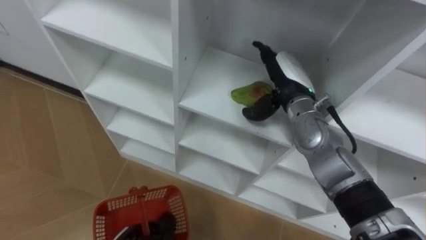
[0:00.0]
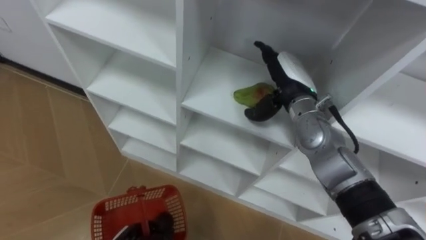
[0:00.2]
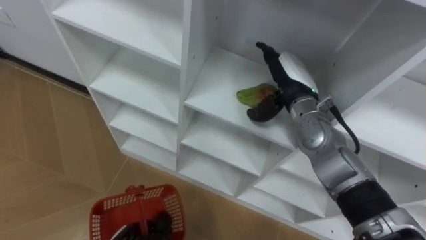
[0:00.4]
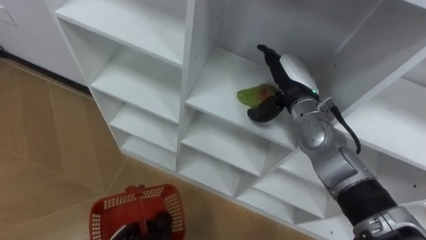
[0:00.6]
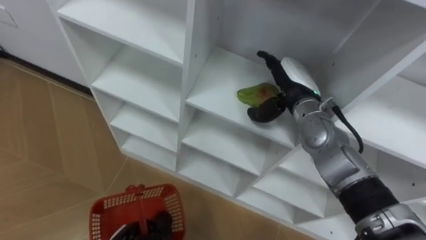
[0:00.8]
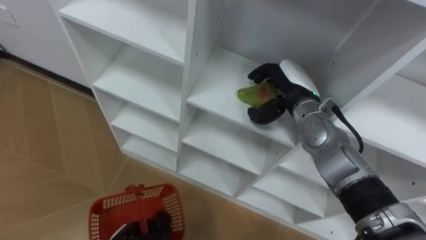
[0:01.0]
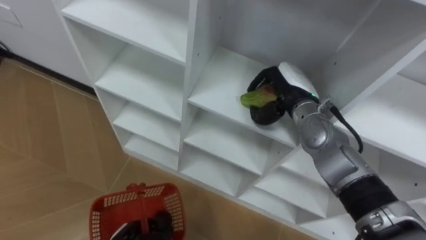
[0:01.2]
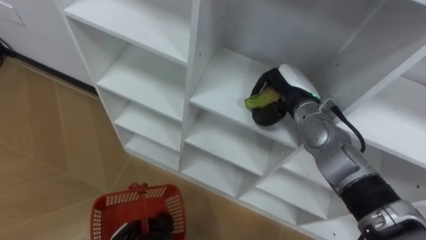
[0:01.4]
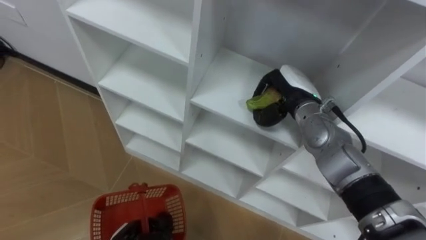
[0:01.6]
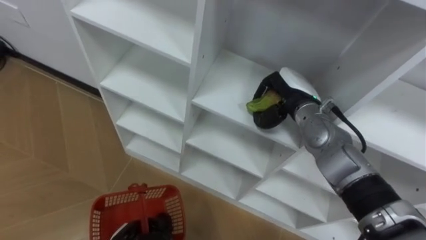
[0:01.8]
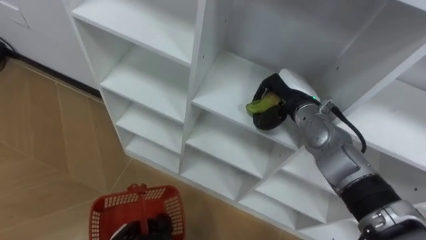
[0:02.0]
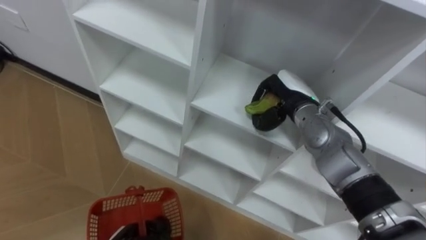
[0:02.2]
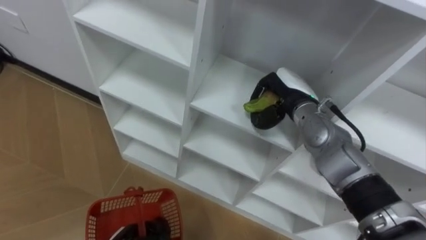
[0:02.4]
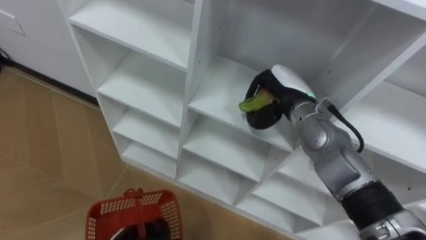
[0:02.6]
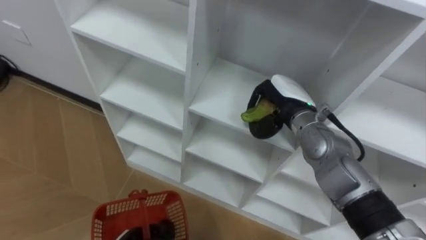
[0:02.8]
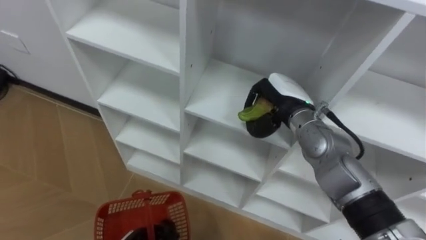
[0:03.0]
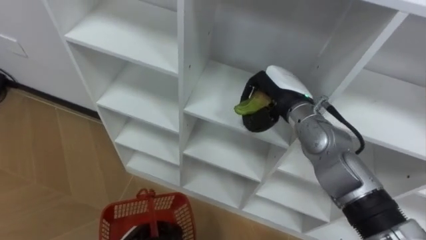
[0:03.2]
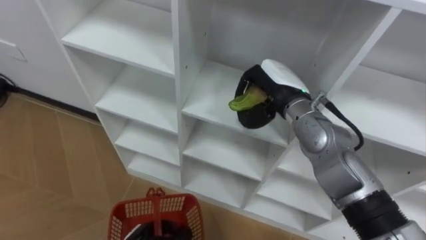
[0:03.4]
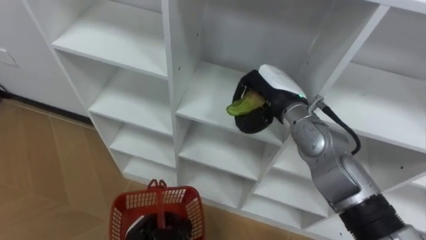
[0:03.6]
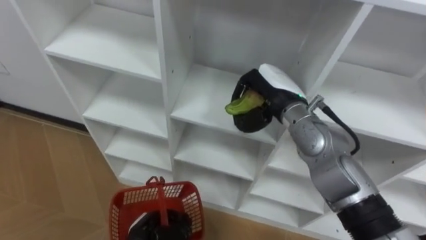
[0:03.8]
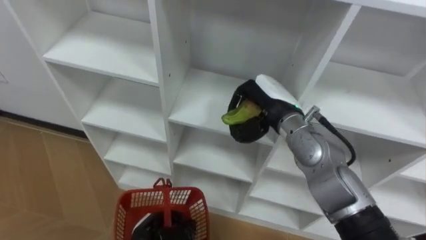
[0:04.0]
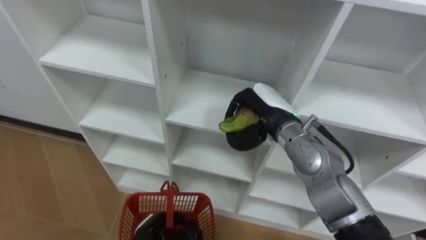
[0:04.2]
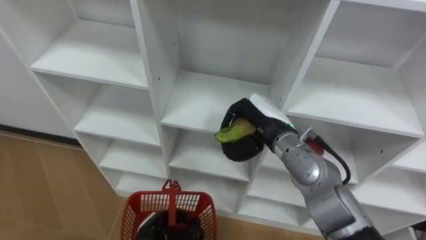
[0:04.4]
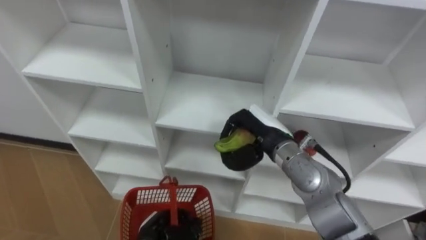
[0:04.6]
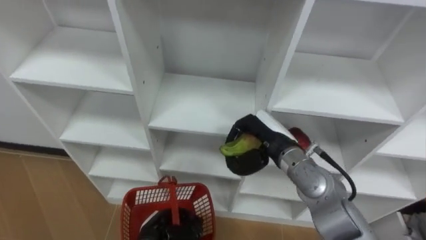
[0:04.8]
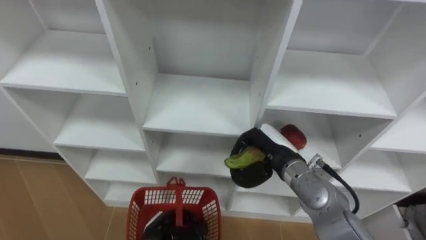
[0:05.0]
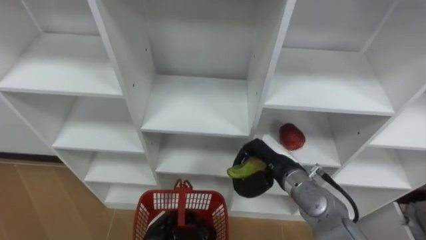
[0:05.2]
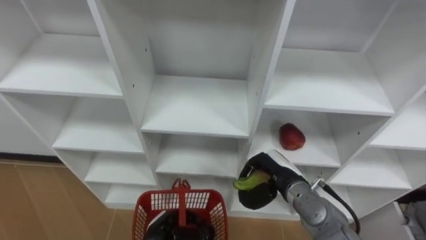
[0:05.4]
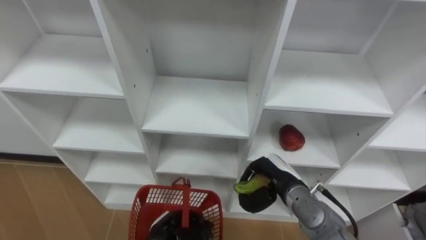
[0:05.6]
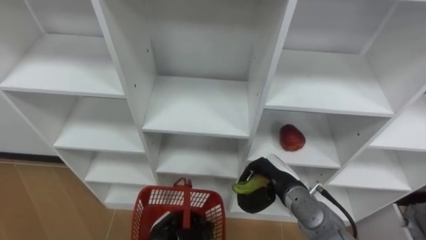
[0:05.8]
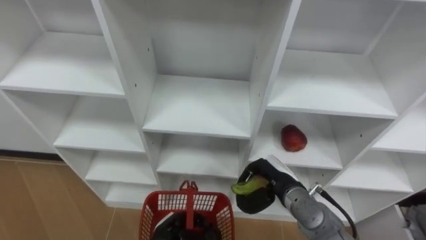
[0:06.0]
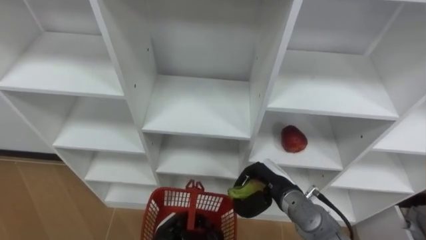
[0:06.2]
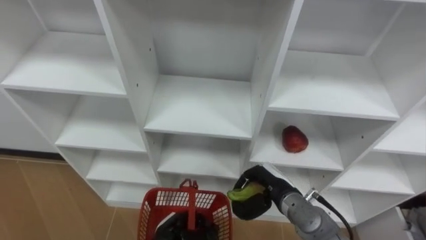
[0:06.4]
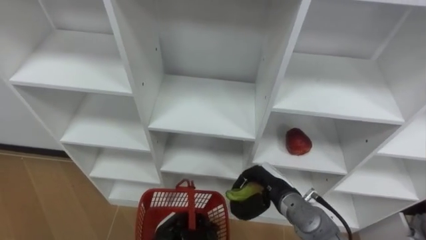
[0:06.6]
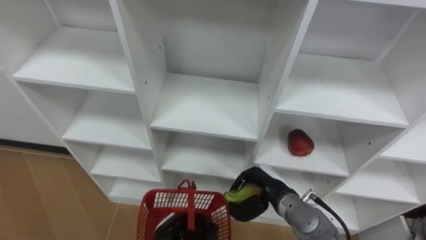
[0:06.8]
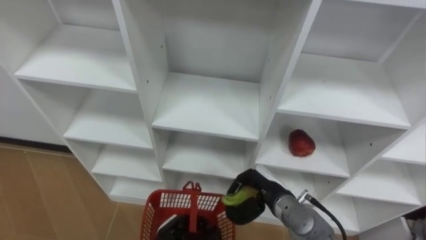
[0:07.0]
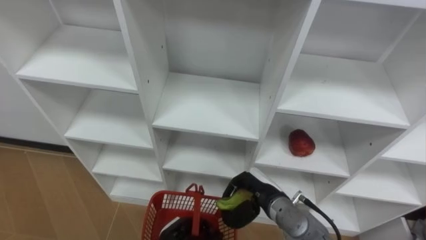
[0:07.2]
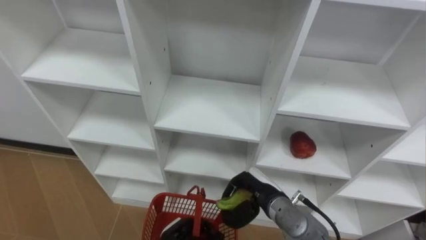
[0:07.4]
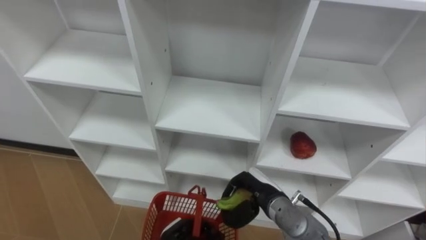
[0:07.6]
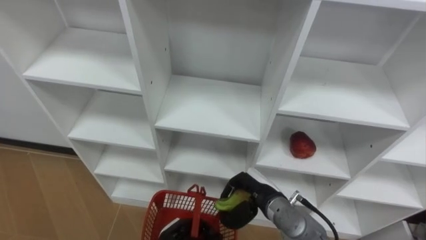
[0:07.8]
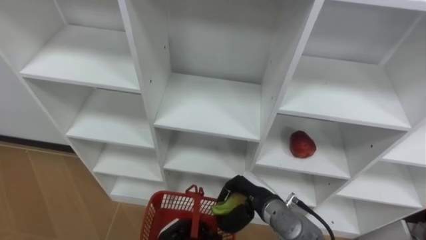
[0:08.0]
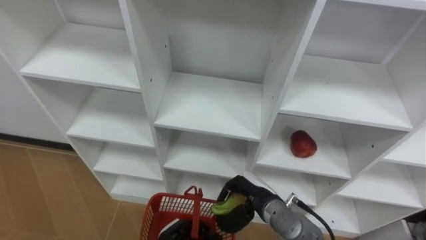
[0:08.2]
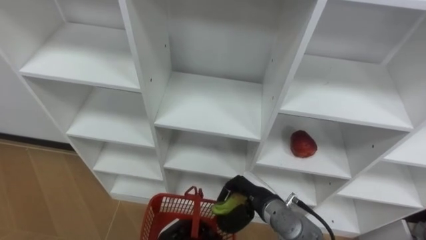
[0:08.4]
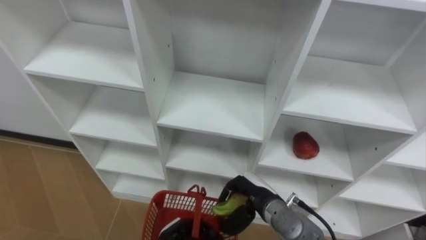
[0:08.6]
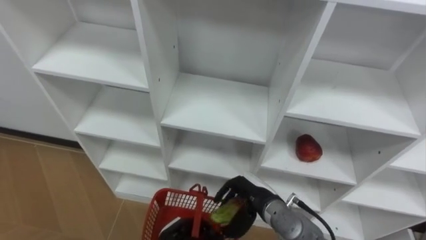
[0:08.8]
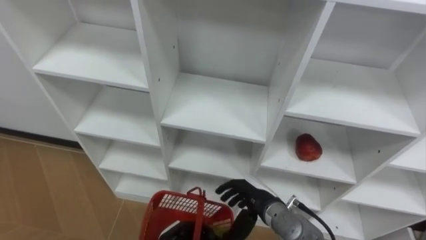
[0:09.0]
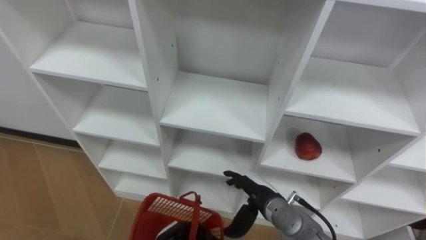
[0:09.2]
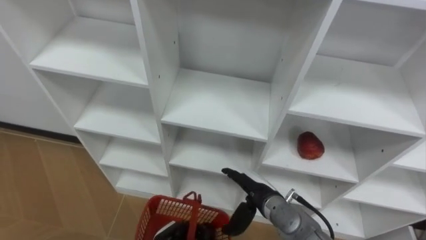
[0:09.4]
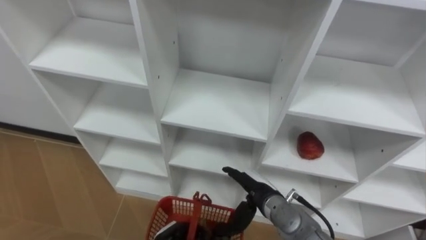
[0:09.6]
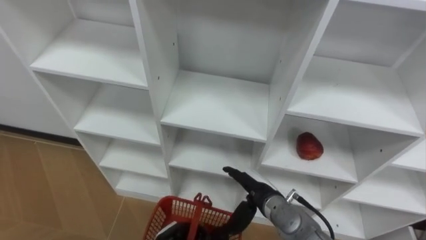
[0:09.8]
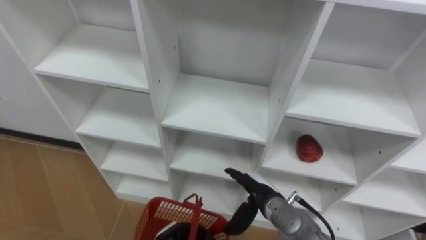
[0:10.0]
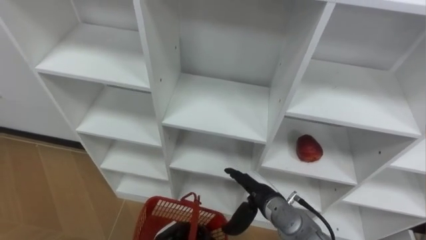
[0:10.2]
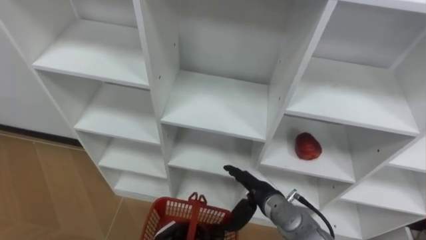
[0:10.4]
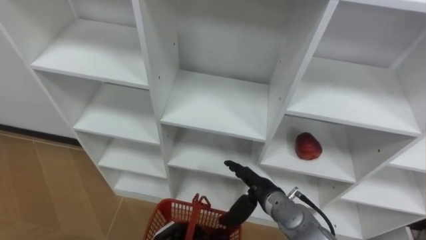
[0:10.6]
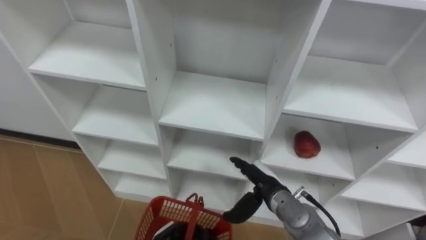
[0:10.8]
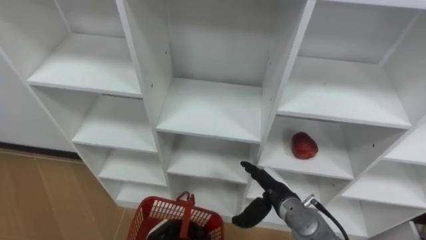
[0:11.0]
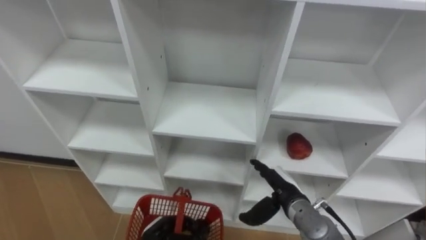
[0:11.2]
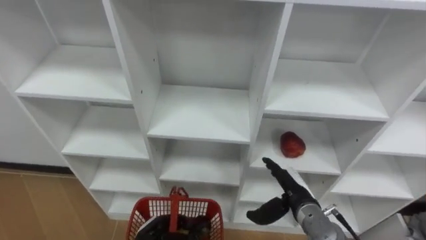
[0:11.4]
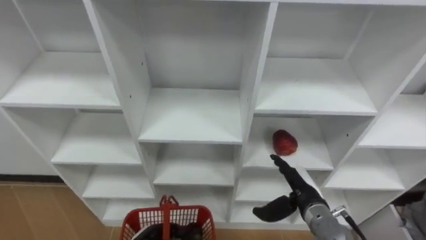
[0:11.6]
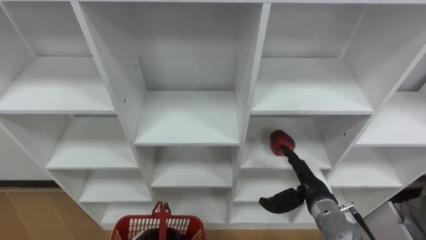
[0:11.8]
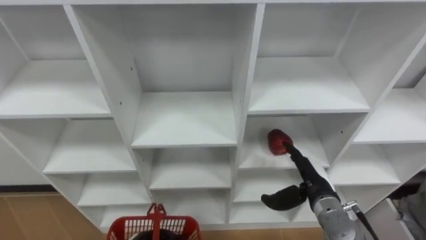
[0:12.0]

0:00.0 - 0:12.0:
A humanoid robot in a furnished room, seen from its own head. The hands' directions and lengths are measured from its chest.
Task of the whole recording: Hold the basket and collect the fruits from 3 different cells of the closet into it.
0:00.0 - 0:01.6: The right hand closes up.
0:03.0 - 0:04.4: The right hand shifts by approximately 5 cm.
0:04.4 - 0:06.0: The right hand goes about 15 cm downward and backward.
0:07.6 - 0:09.0: The right hand opens up.
0:10.4 - 0:12.0: The right hand shifts approximately 10 cm to the right.

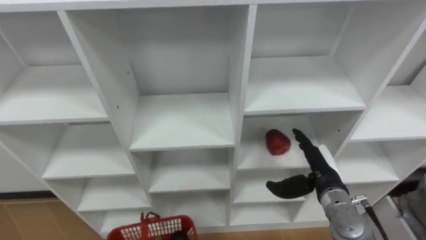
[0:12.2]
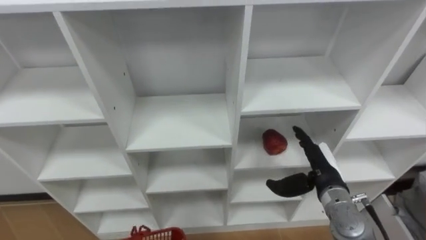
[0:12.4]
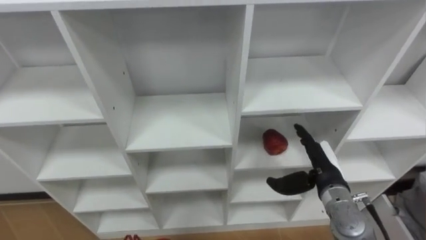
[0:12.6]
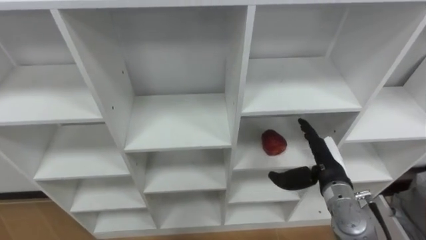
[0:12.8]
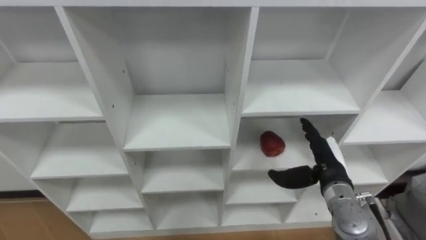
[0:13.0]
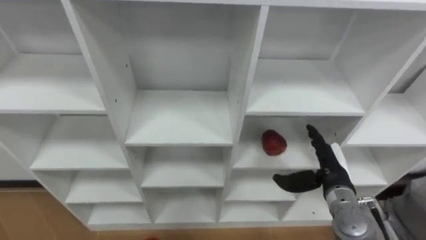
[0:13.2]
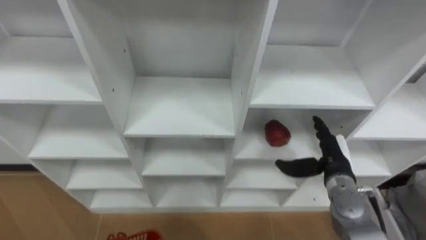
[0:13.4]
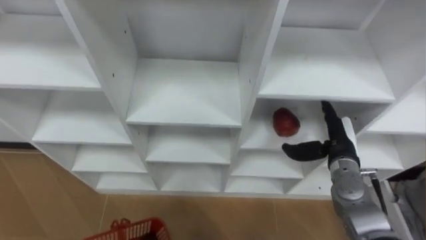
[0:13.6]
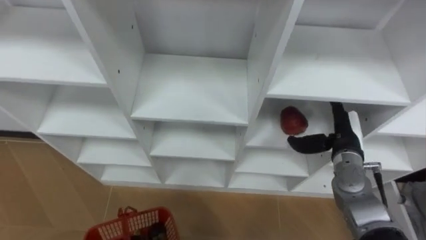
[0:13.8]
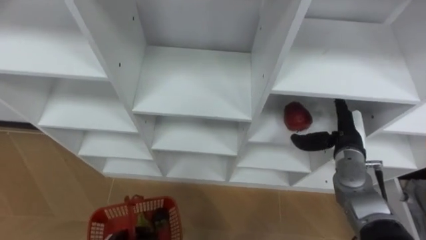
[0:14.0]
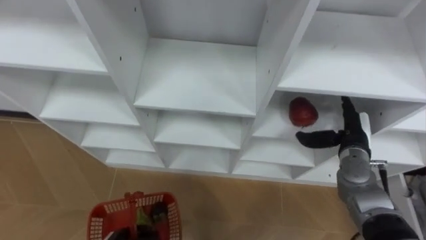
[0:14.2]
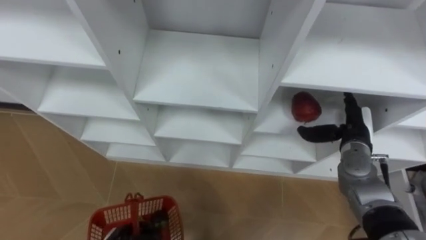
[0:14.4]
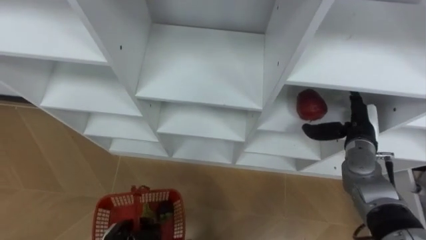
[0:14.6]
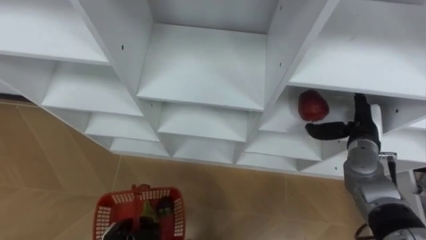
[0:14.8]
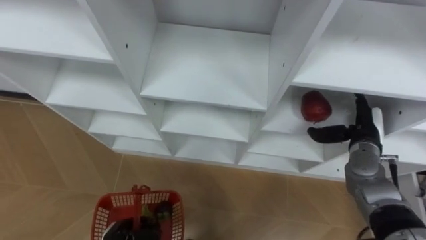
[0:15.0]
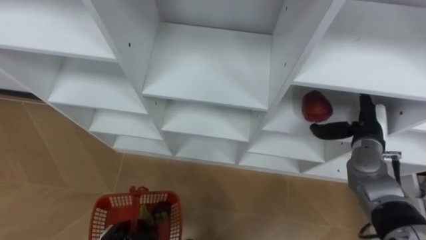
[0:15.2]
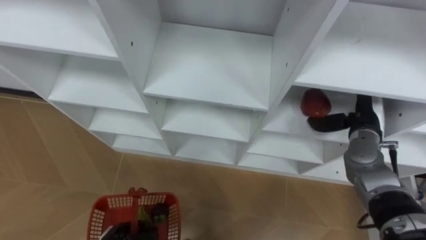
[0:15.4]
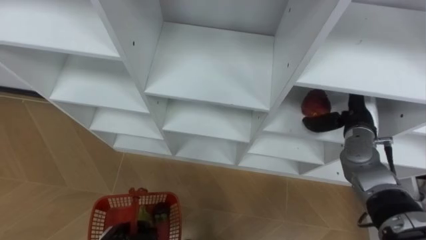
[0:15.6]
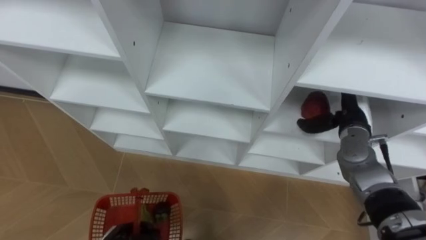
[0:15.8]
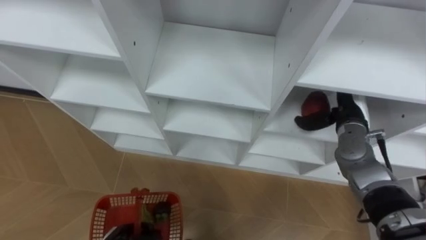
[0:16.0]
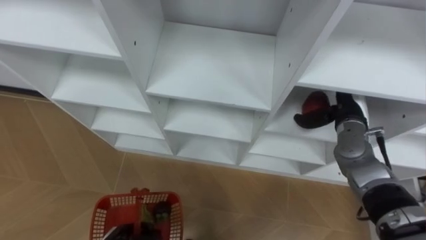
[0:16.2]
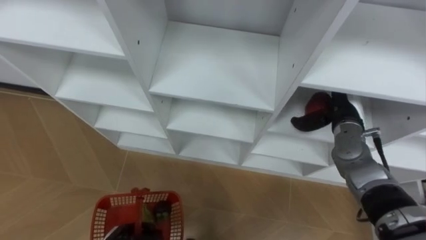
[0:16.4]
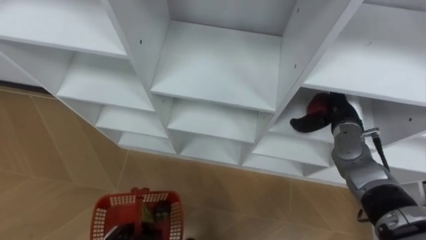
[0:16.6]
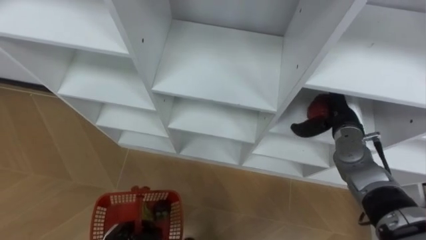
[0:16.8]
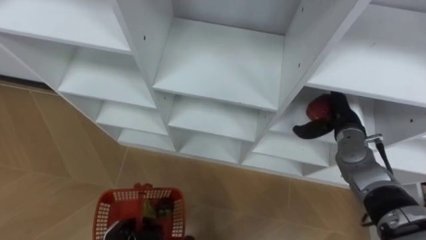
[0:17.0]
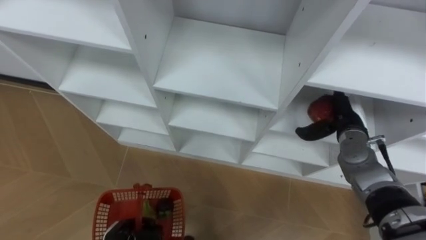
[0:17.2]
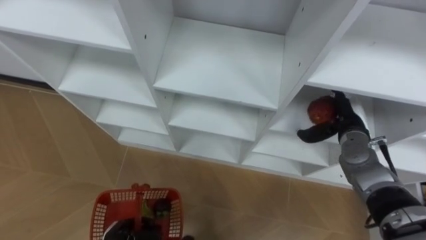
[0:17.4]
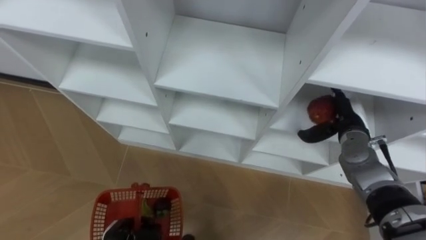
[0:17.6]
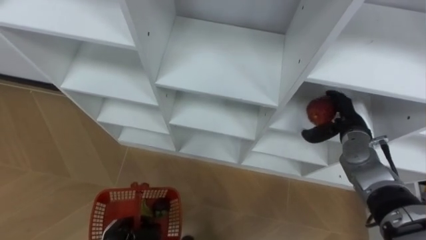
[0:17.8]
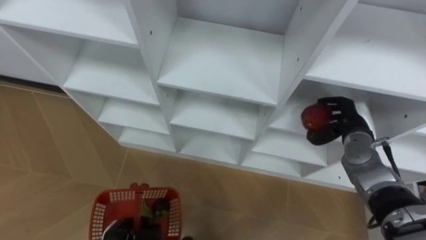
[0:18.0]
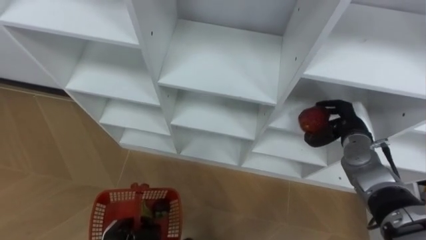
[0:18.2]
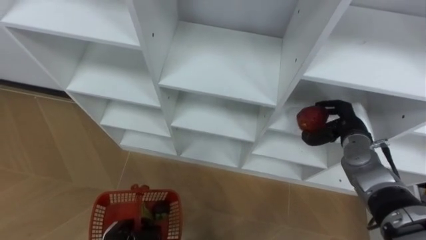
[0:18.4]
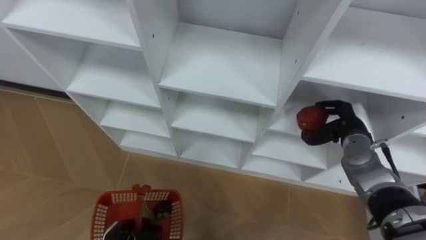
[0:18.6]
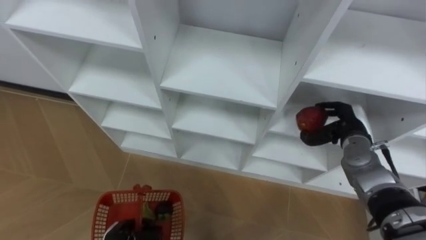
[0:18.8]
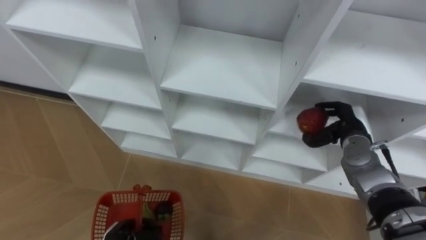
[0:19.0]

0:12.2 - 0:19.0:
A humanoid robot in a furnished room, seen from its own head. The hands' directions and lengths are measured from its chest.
Task of the whole recording: Hold the basket and collect the fruits from 3 different cells of the closet into it.
0:12.2 - 0:13.6: The right hand is displaced forward by some 5 cm.
0:13.6 - 0:15.0: The right hand shifts approximately 5 cm to the right.
0:15.0 - 0:16.2: The right hand changes place by roughly 5 cm.
0:17.6 - 0:19.0: The right hand closes its fingers.
